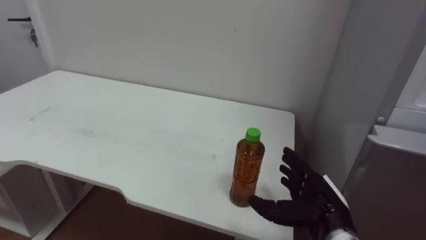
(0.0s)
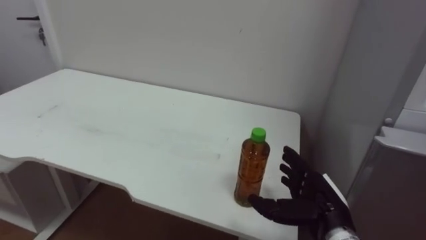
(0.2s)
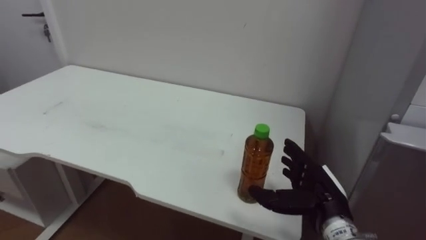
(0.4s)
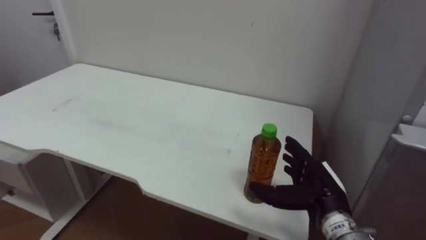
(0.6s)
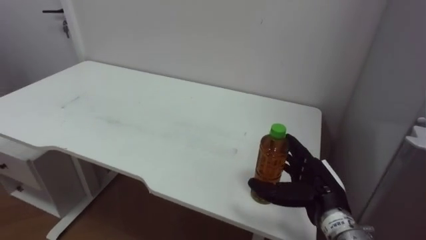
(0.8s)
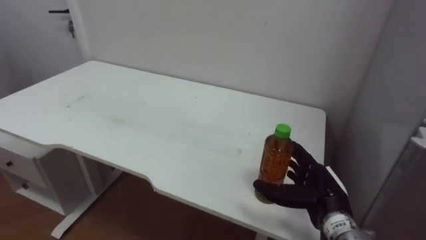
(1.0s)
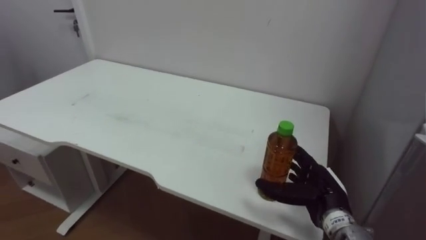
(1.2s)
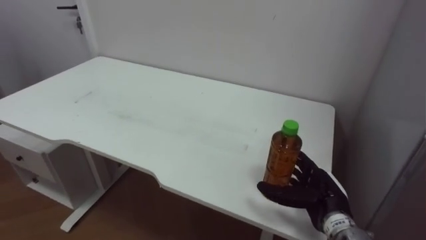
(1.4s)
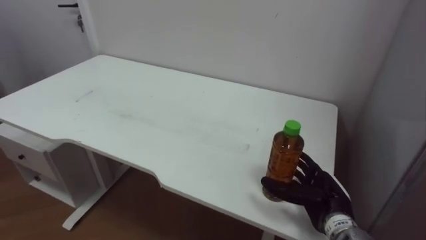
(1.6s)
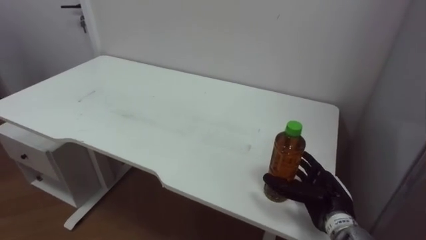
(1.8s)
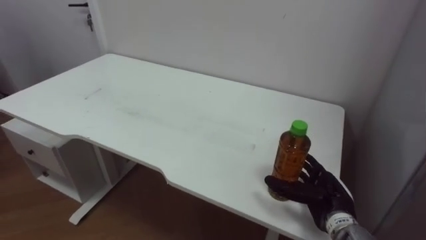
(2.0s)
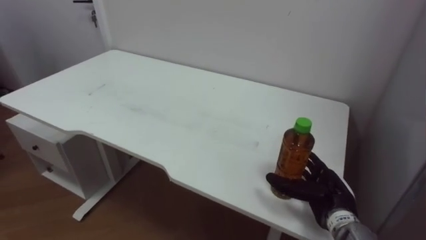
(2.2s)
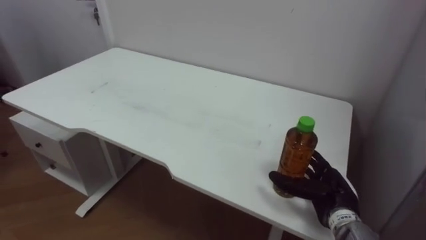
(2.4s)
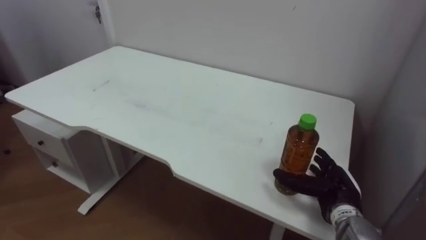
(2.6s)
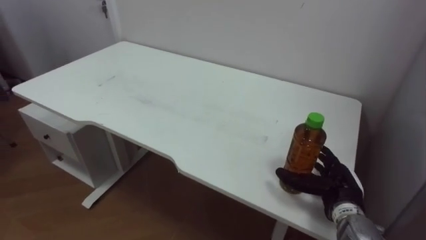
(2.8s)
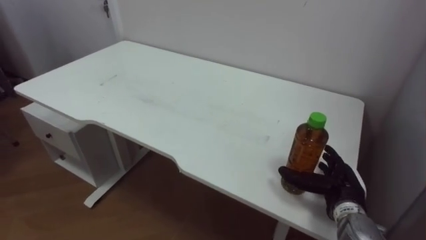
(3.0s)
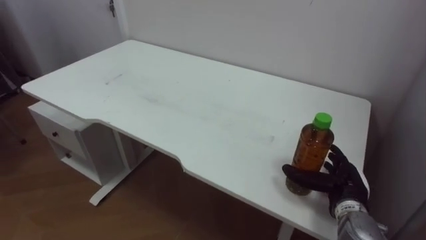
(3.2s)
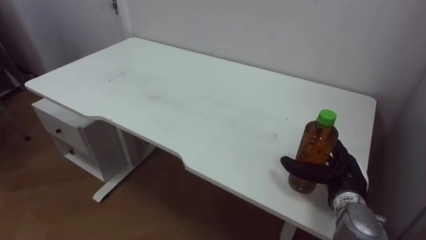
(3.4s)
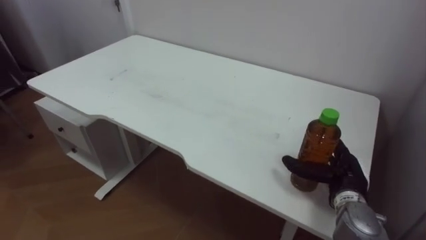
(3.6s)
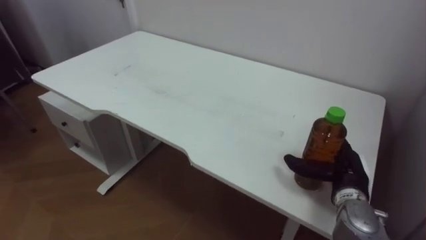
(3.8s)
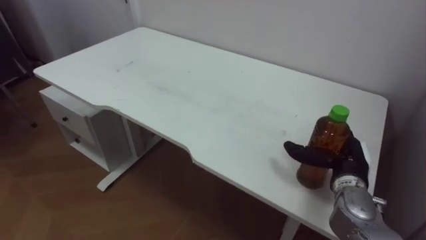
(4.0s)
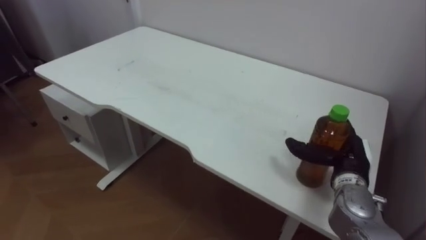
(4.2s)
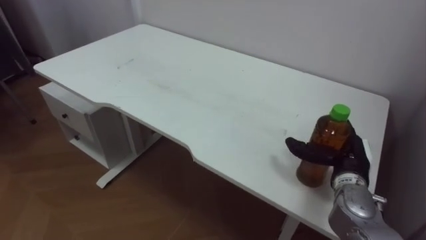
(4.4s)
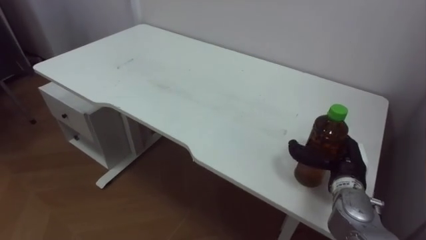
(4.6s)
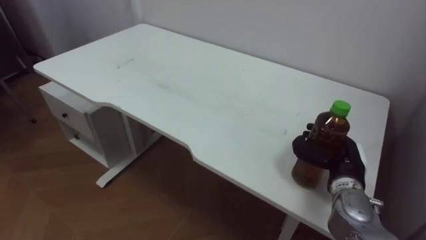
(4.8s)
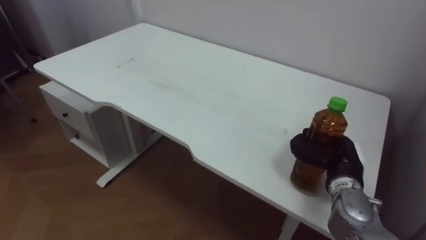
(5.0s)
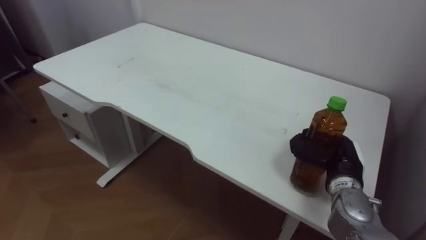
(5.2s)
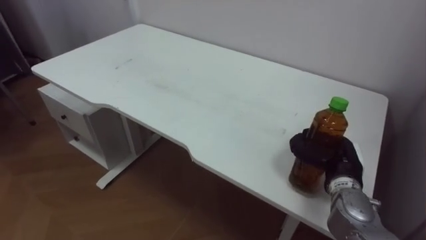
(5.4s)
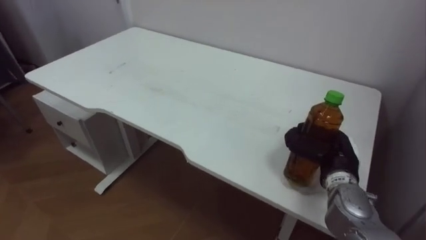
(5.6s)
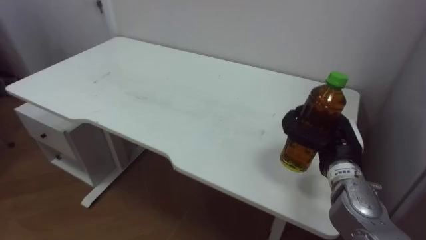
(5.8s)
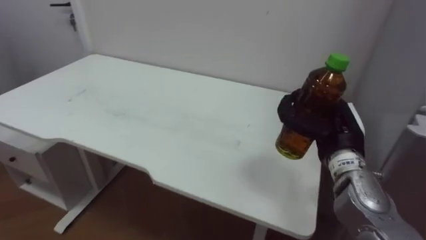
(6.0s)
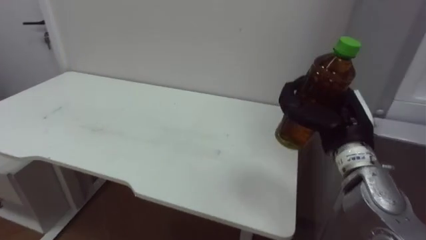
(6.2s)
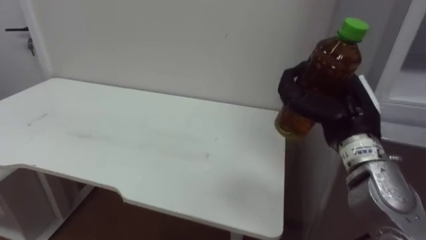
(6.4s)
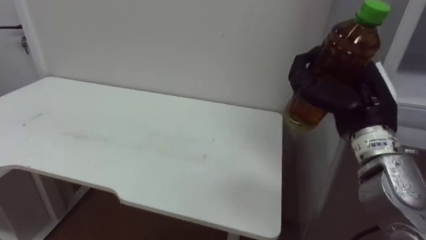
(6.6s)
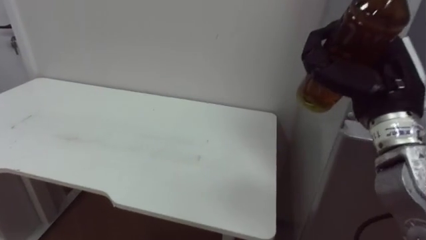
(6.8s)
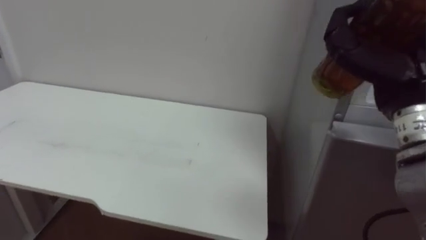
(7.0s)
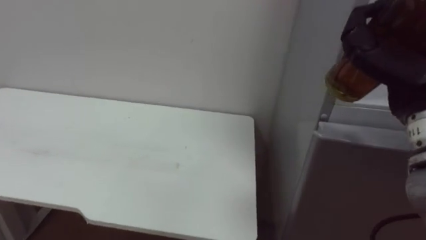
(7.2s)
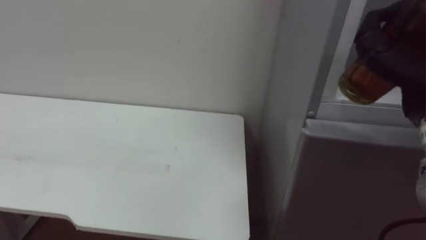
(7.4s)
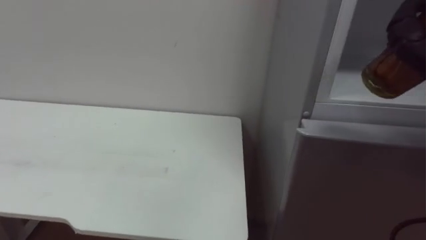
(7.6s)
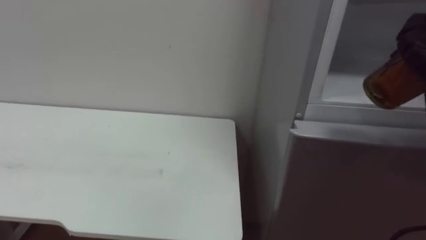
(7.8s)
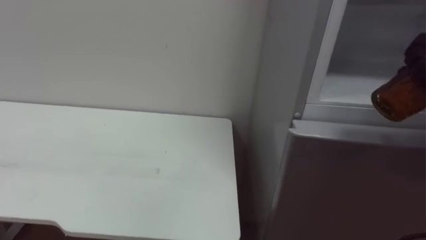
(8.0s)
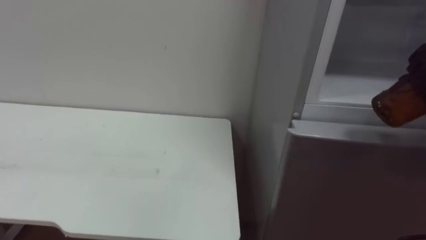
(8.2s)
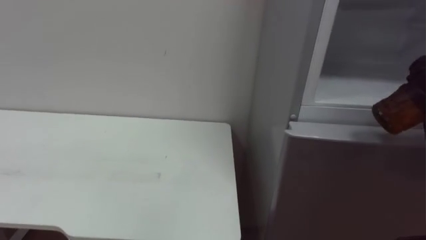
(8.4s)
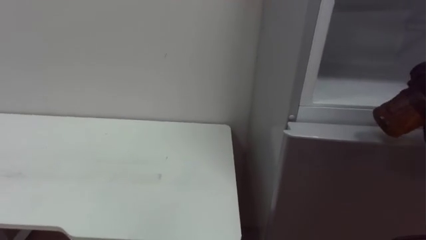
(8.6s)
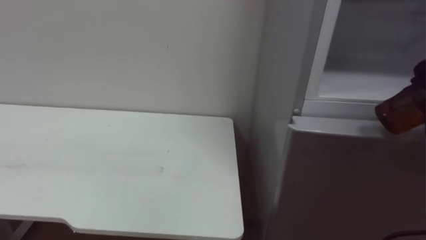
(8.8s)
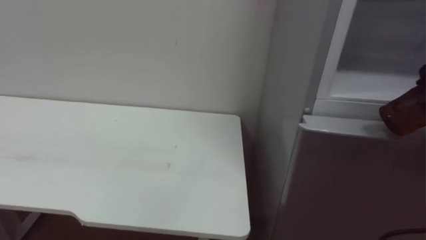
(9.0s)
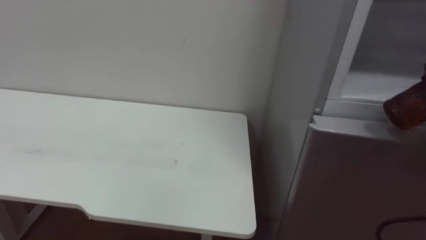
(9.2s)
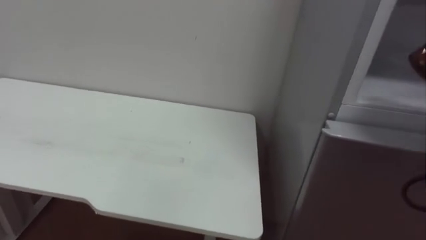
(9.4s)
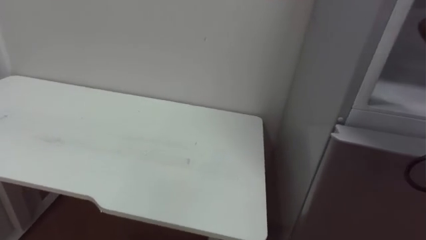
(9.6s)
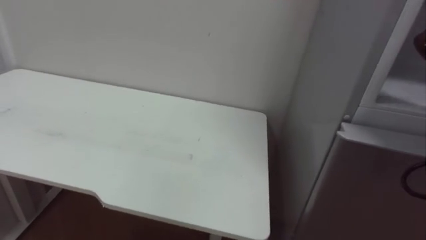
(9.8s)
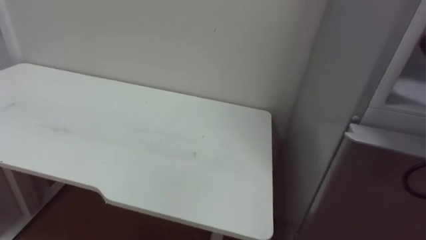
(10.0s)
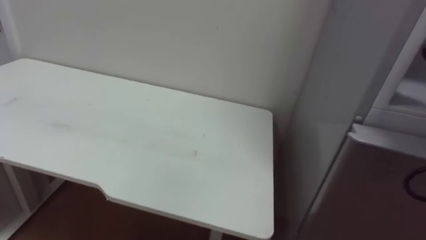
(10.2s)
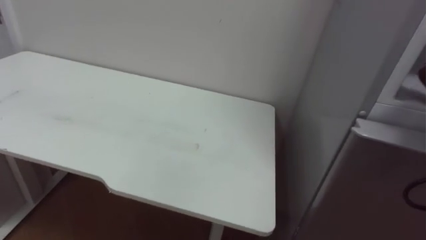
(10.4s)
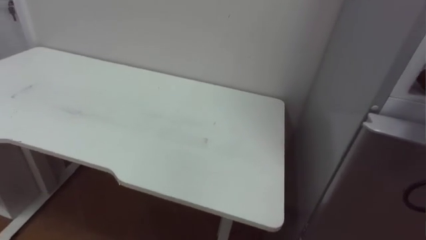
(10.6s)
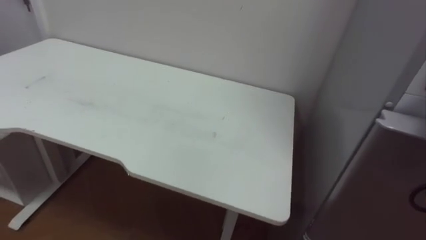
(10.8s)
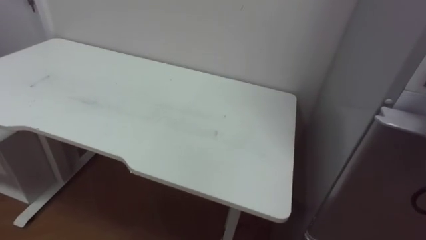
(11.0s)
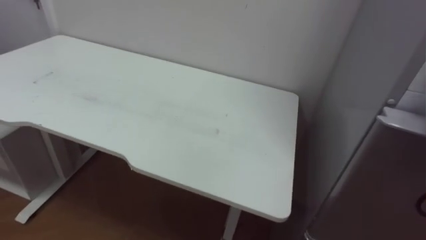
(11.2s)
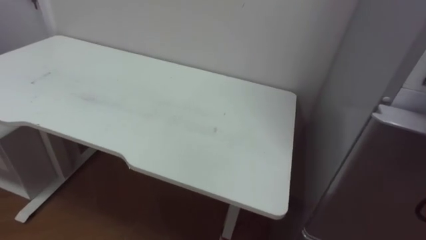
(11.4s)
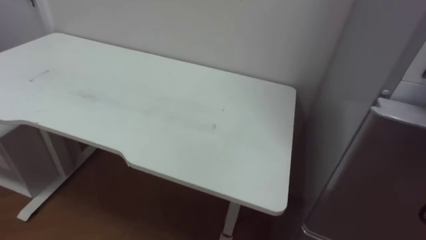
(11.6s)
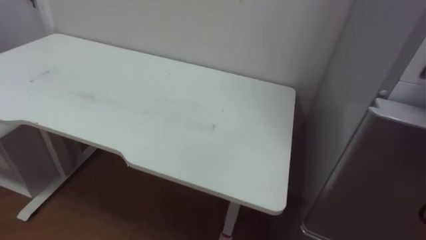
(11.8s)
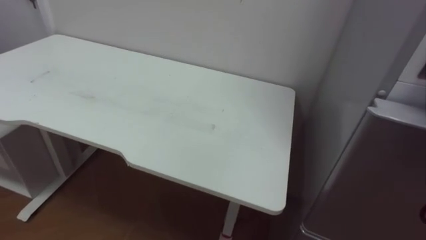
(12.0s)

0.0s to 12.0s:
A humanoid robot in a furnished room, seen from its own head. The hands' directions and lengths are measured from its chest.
Task of the whole recording: Open the upper refrigerator door, put the drink from the table into the refrigerator, and then close the refrigerator door.
0.0s to 1.6s: The right hand shifts by about 5 cm.
3.0s to 4.4s: The right hand travels upward by approximately 5 cm.
4.4s to 6.0s: The right hand heads upward, covering some 5 cm, and closes its fingers.

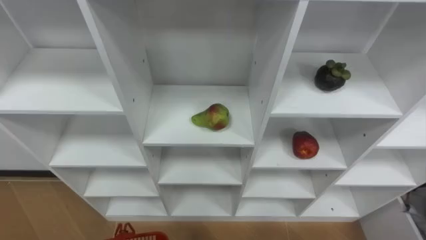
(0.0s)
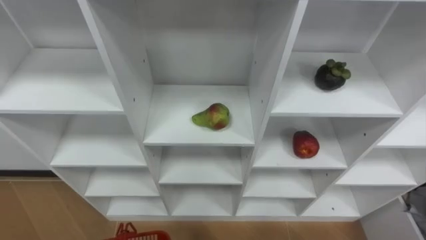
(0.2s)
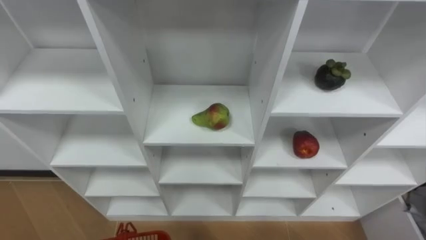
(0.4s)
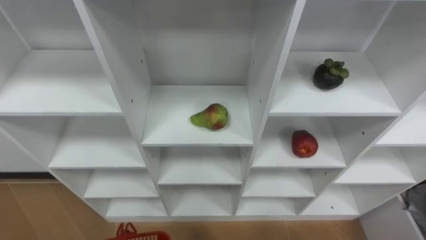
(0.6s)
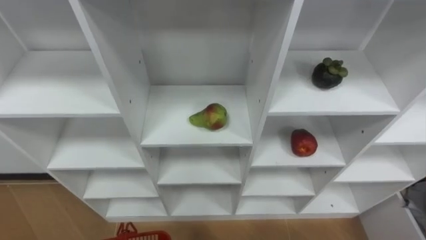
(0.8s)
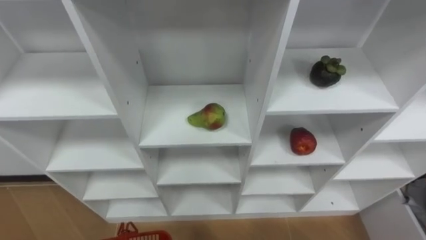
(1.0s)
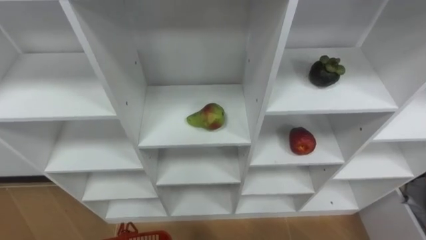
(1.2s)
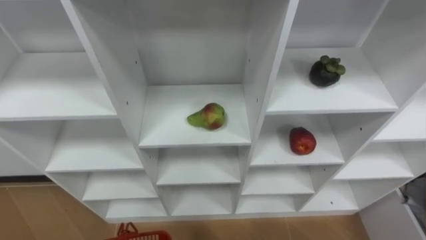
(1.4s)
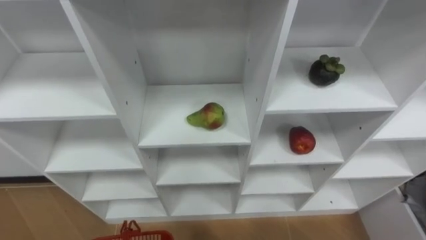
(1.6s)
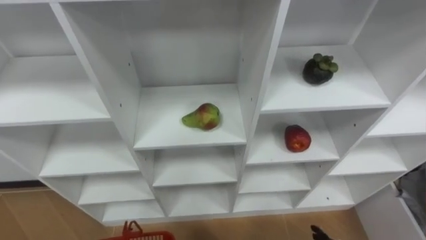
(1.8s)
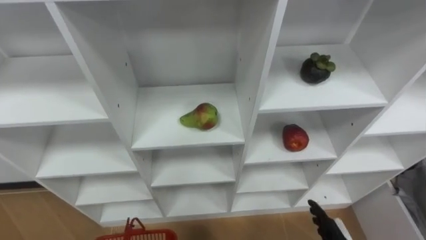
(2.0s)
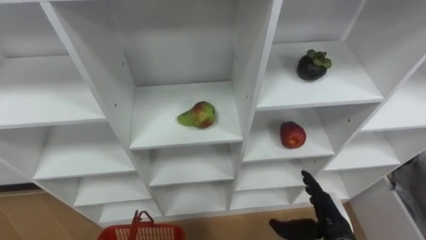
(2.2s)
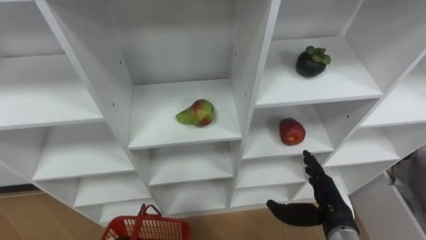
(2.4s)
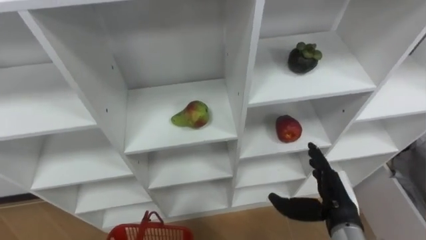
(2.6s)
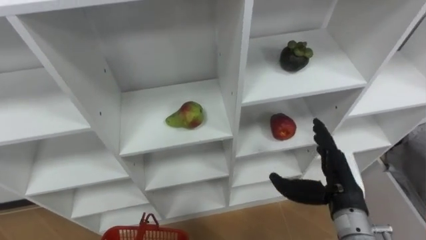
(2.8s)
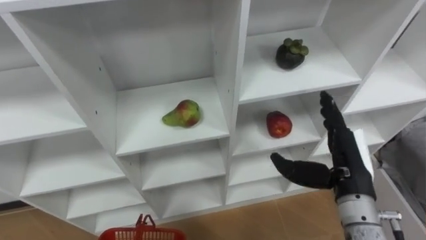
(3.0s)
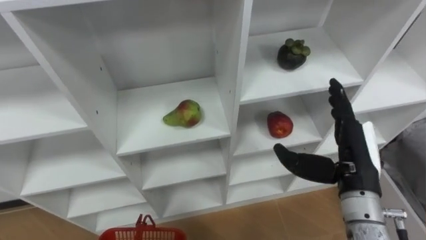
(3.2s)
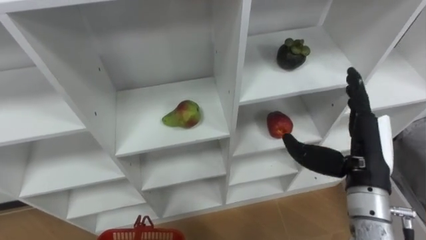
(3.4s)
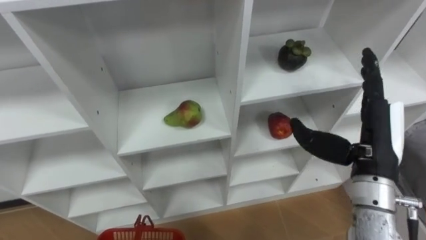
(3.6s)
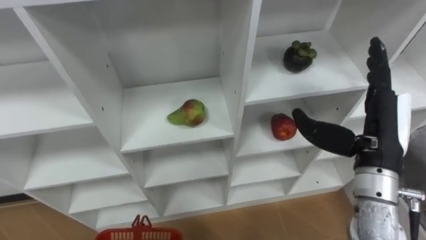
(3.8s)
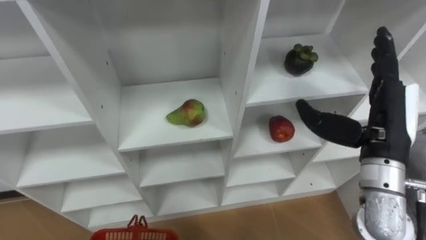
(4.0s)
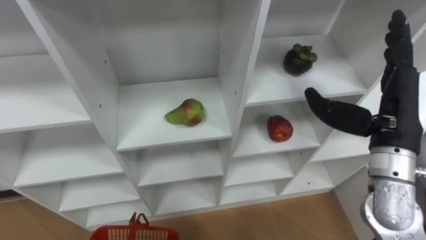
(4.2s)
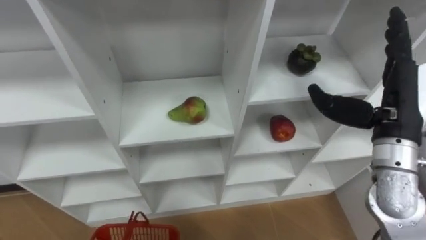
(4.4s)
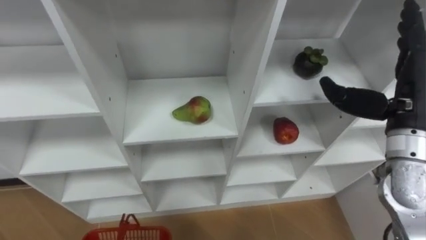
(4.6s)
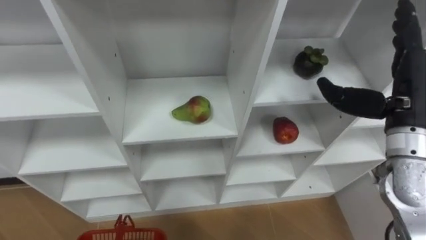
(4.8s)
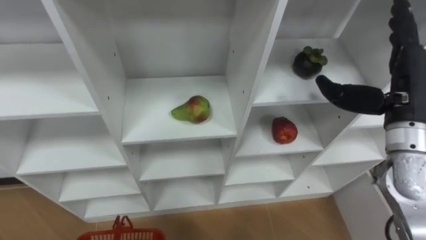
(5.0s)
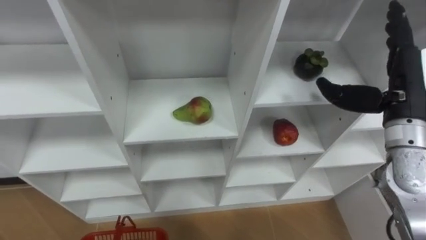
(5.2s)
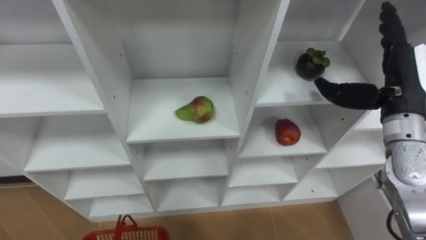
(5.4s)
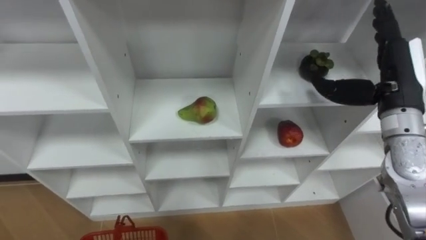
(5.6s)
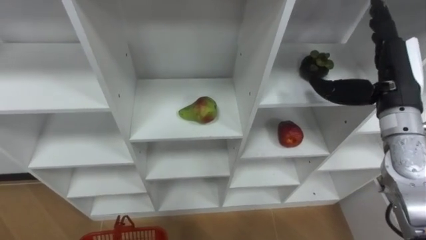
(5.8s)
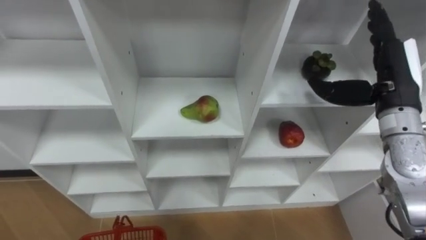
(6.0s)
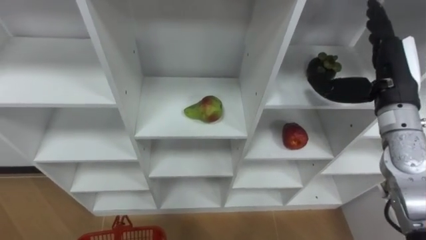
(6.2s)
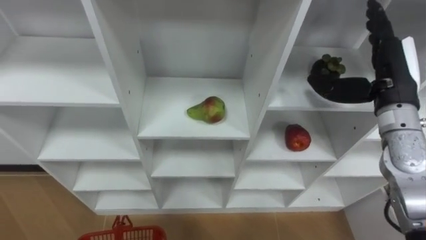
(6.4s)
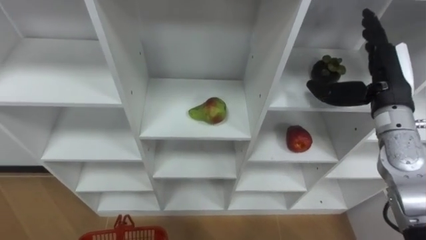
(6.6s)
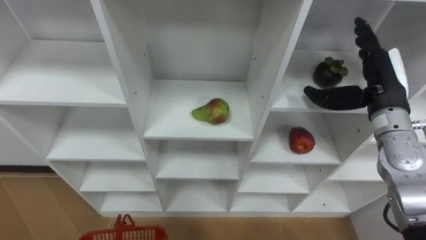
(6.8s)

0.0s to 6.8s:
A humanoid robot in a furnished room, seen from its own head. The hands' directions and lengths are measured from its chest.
Task of the whole recording: Hold the basket and collect the fruits from 3 different cells of the closet into it.
2.8s to 4.0s: The right hand heads upward, covering about 15 cm.
4.0s to 5.4s: The right hand heads forward, covering about 5 cm.
